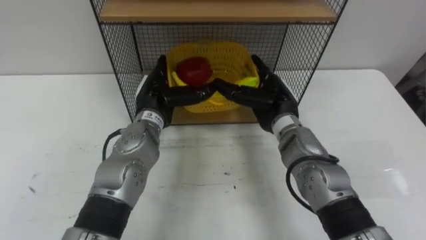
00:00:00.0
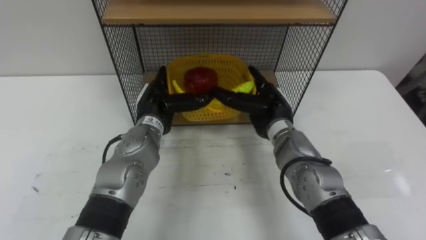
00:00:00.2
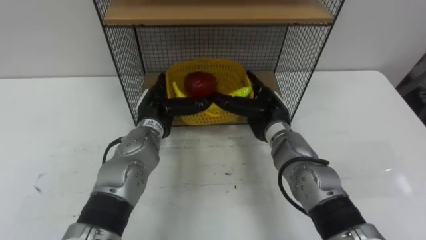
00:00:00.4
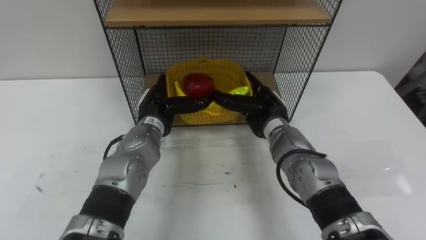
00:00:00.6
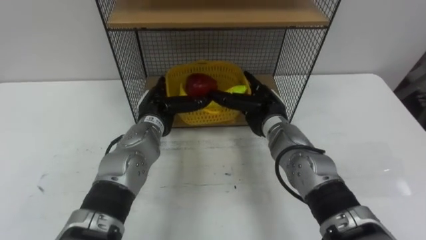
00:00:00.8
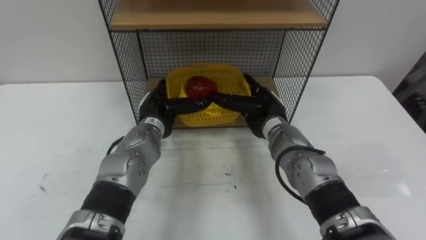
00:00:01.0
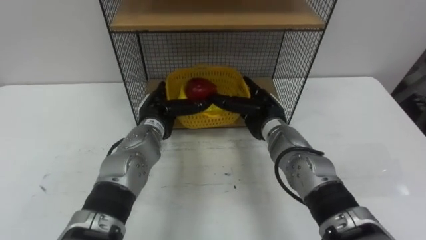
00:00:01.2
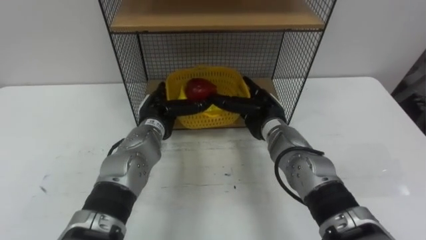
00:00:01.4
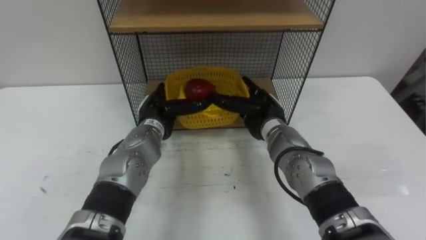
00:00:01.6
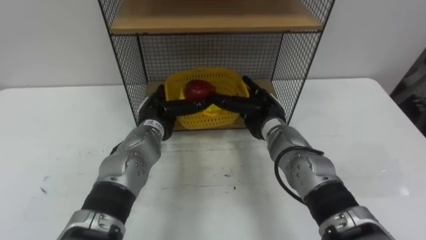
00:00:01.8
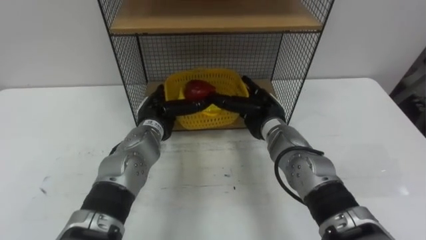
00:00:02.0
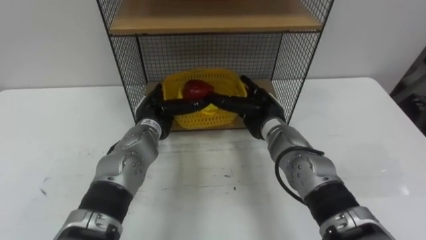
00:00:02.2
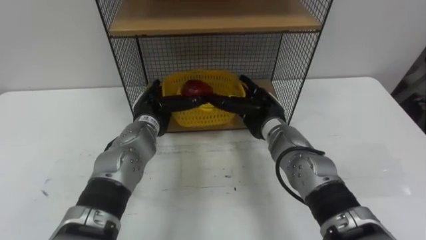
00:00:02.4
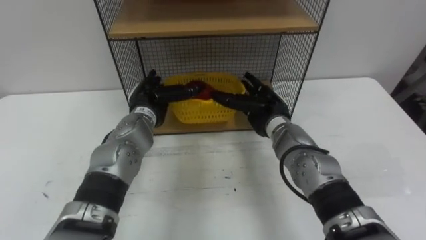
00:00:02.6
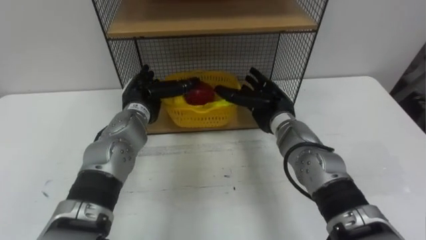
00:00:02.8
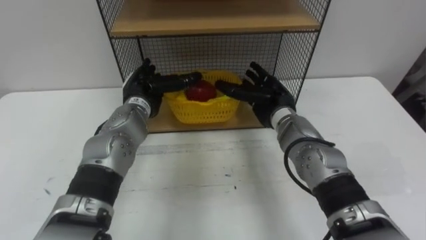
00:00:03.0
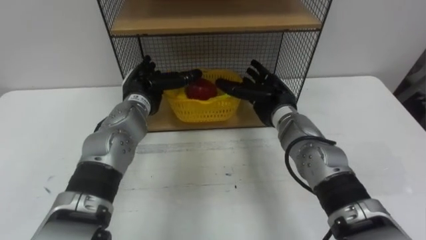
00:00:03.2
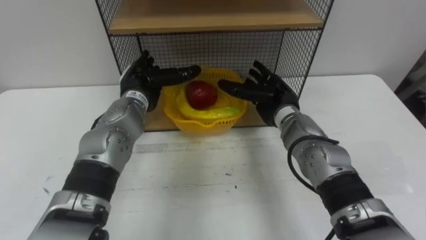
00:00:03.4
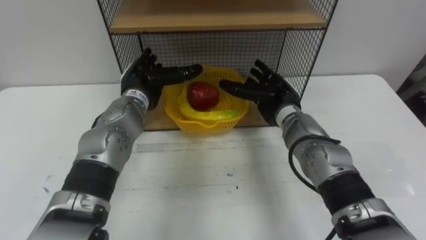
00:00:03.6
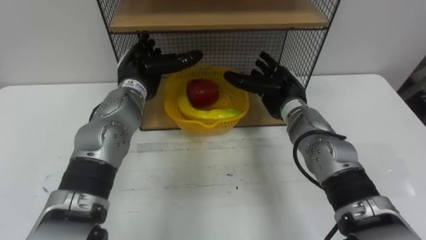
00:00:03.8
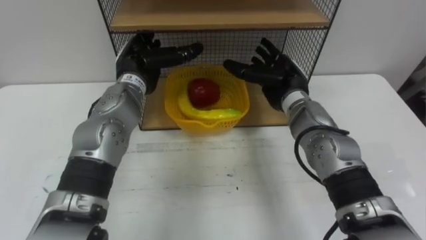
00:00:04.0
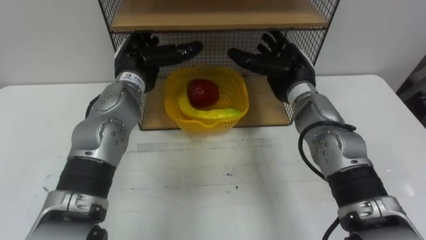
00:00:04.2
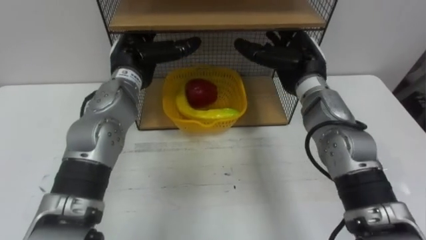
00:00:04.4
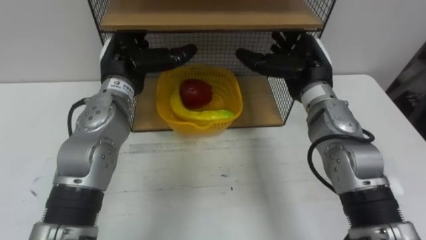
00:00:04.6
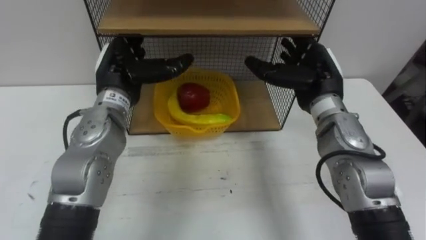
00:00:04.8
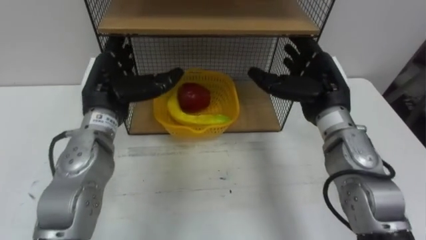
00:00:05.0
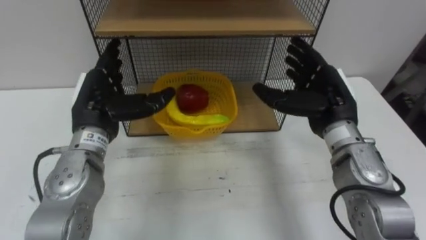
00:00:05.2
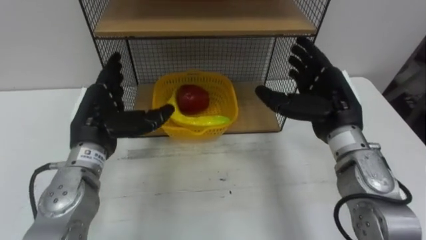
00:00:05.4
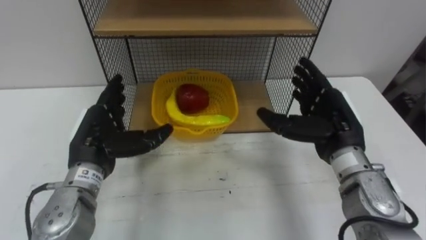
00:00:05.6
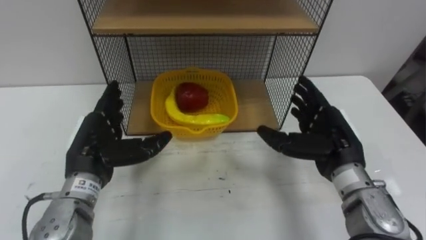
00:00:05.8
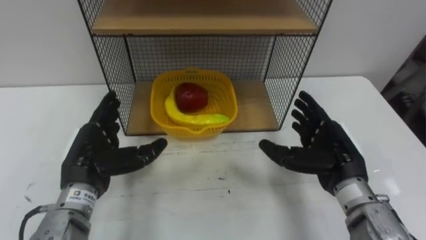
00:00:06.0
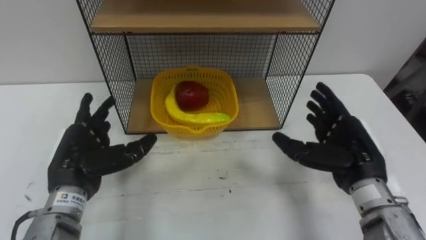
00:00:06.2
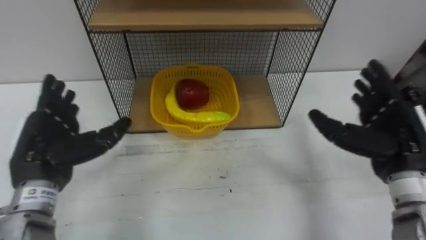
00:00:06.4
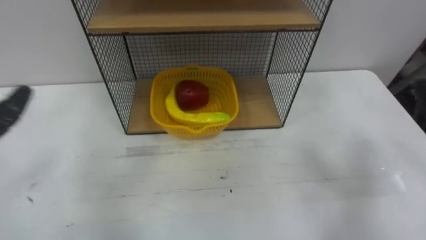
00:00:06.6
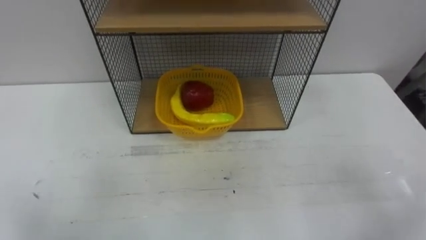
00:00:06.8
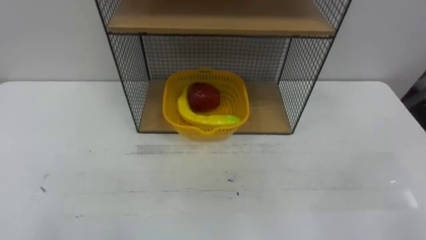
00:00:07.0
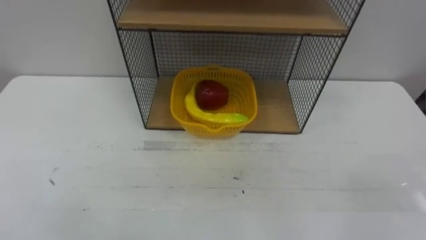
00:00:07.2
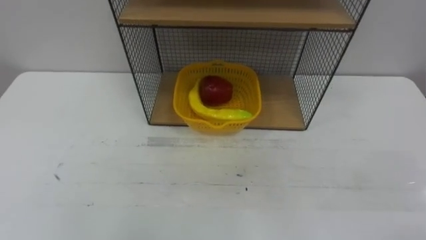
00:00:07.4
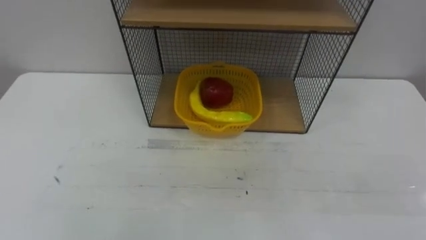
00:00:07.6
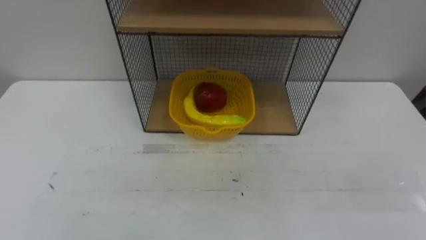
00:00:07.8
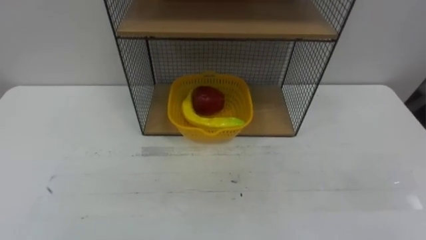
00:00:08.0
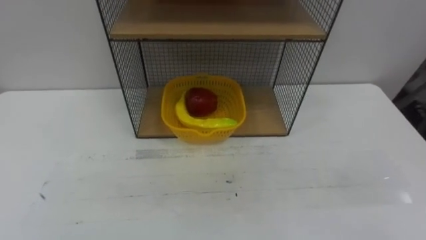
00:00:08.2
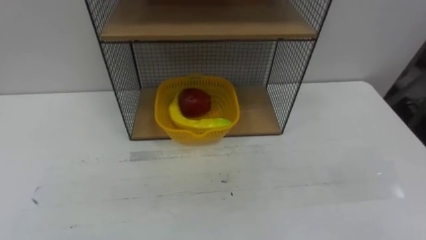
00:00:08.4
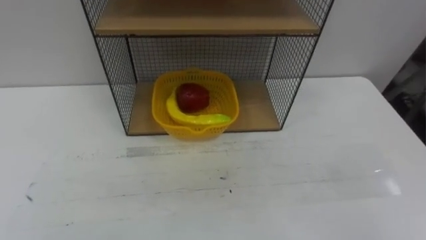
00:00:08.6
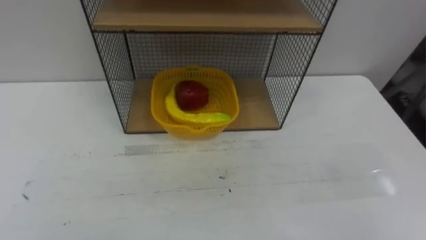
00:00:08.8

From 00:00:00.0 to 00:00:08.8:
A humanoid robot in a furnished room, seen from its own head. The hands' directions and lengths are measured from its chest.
Task of the whole recording: Put the fruit on the table into the basket, then place the basket on the shelf.
From 00:00:00.0 to 00:00:01.4: The left hand goes some 5 cm downward.
From 00:00:01.4 to 00:00:03.0: The left hand moves roughly 5 cm.
From 00:00:03.0 to 00:00:04.4: The hands both shift upward by approximately 10 cm.
From 00:00:04.4 to 00:00:05.8: The left hand moves backward, downward and to the left, some 20 cm; the right hand is displaced backward, downward and to the right by roughly 15 cm.

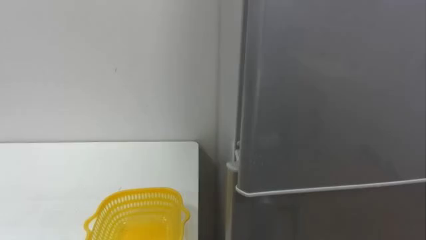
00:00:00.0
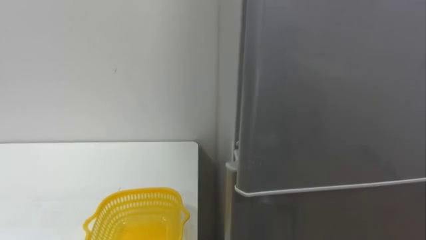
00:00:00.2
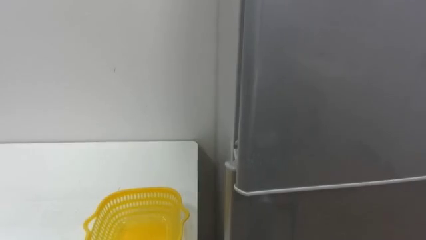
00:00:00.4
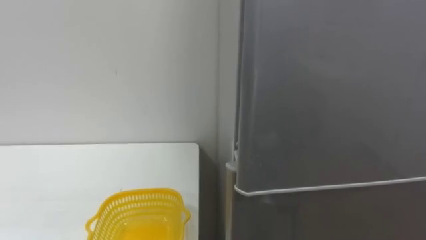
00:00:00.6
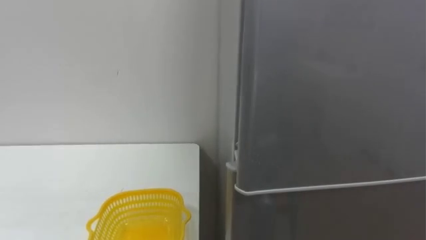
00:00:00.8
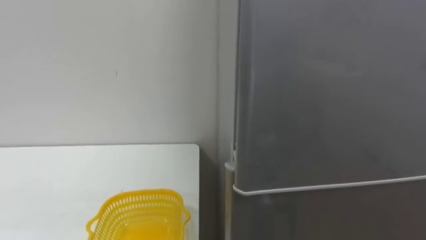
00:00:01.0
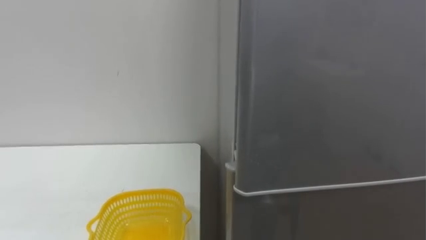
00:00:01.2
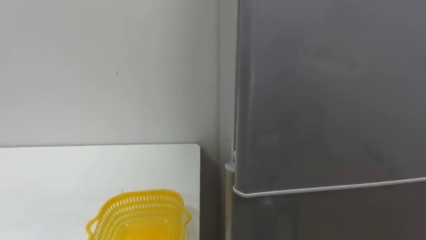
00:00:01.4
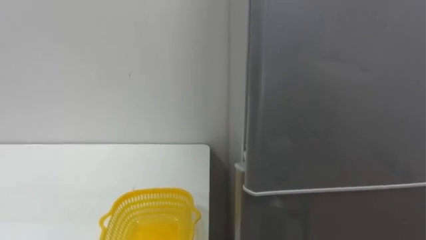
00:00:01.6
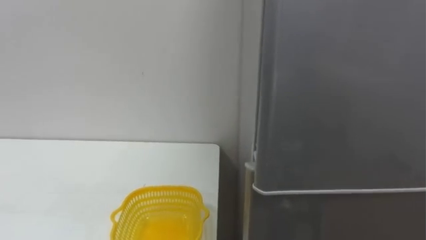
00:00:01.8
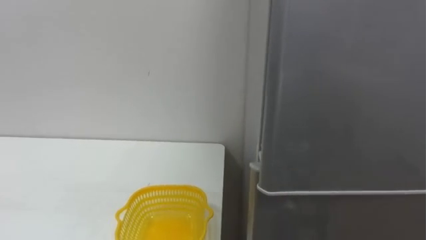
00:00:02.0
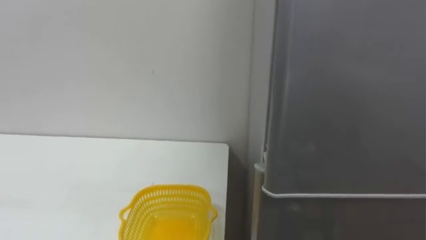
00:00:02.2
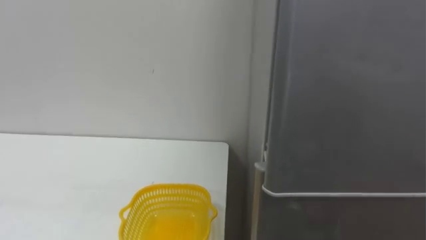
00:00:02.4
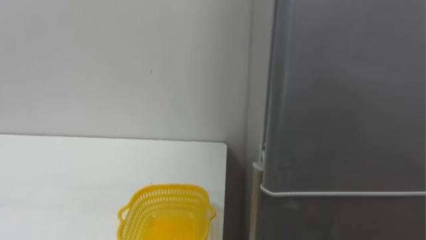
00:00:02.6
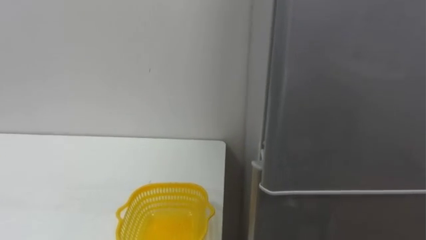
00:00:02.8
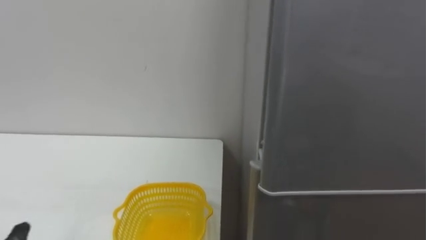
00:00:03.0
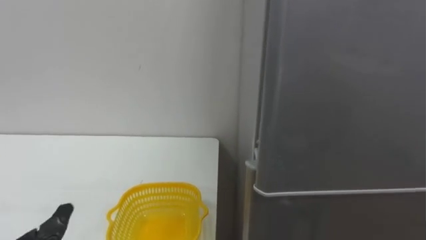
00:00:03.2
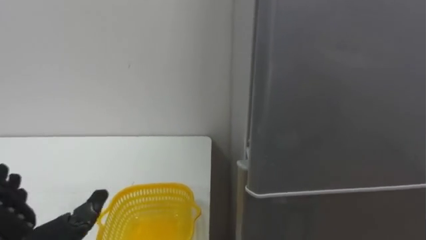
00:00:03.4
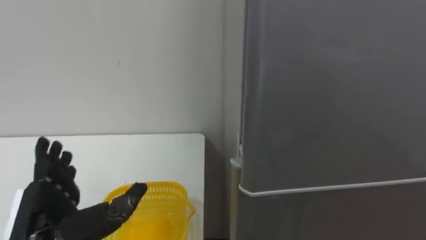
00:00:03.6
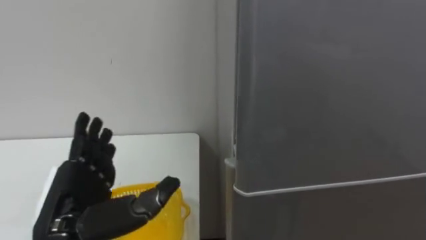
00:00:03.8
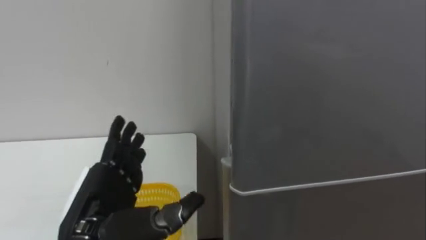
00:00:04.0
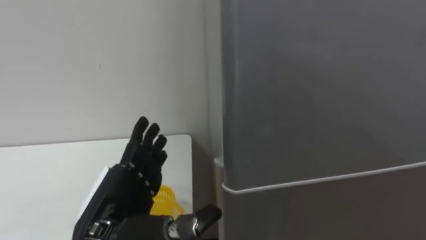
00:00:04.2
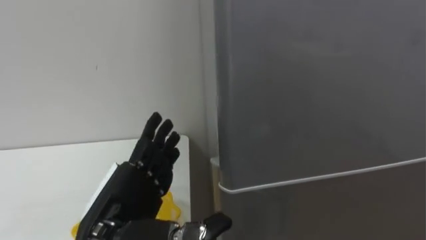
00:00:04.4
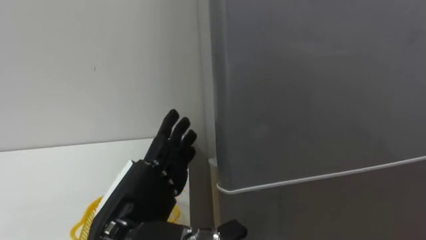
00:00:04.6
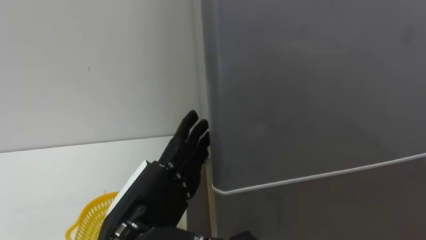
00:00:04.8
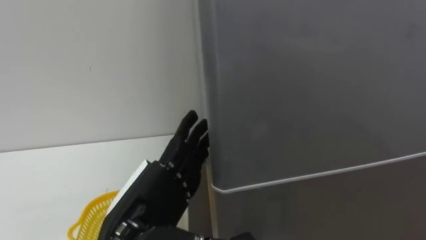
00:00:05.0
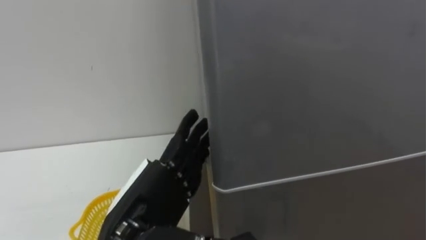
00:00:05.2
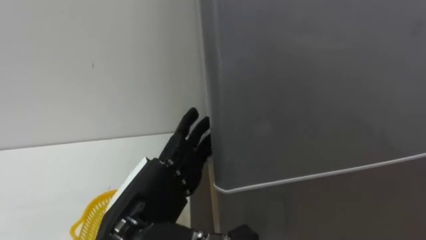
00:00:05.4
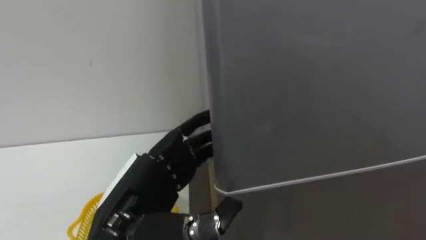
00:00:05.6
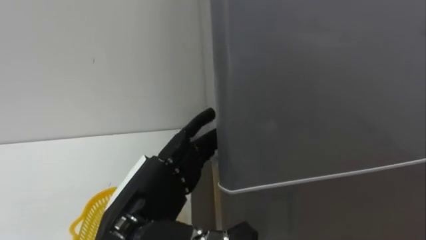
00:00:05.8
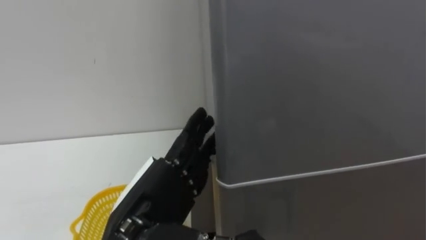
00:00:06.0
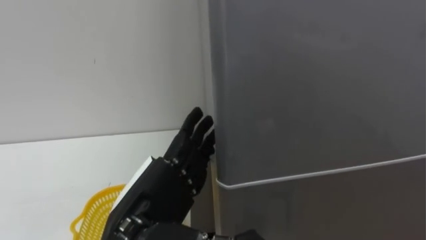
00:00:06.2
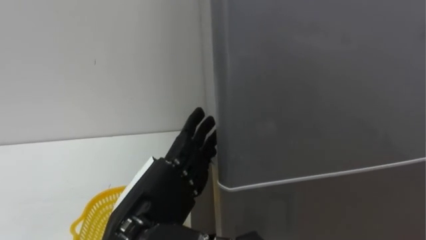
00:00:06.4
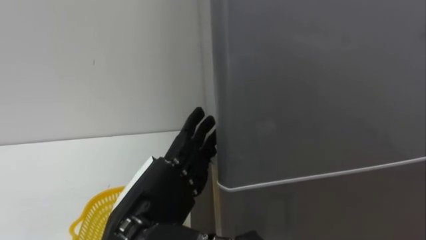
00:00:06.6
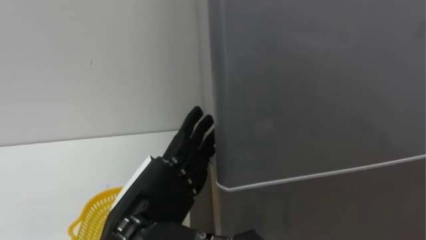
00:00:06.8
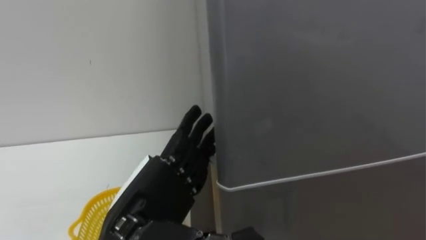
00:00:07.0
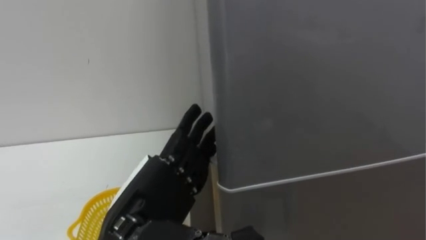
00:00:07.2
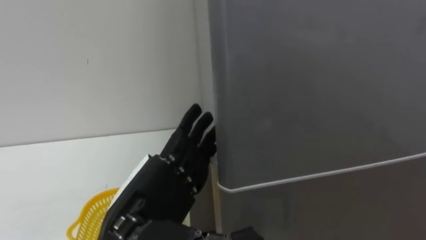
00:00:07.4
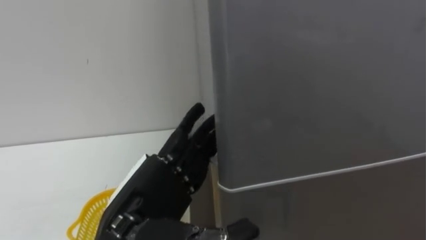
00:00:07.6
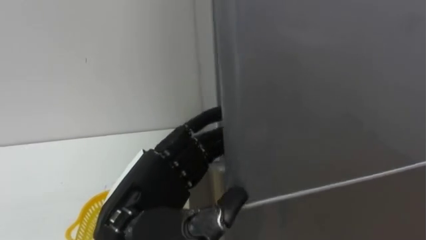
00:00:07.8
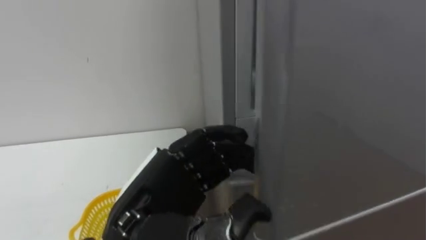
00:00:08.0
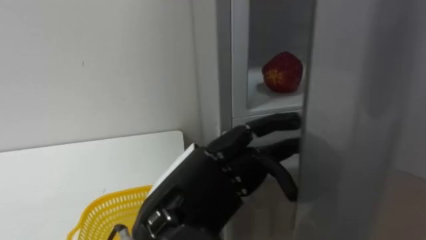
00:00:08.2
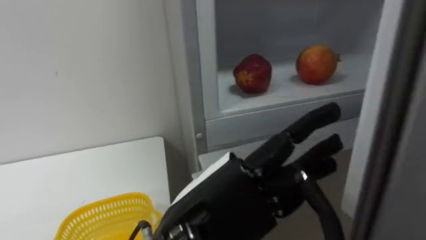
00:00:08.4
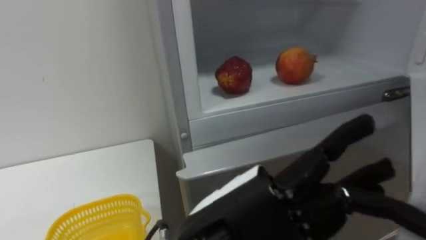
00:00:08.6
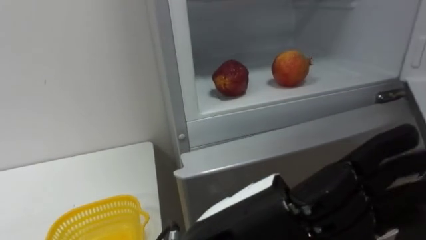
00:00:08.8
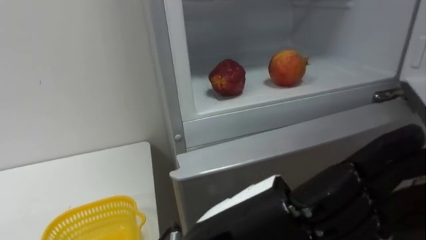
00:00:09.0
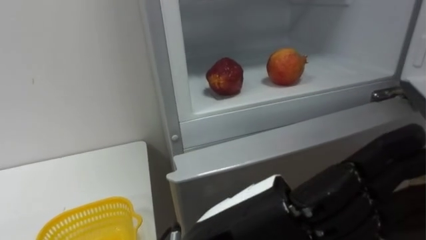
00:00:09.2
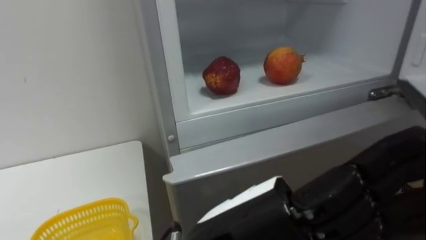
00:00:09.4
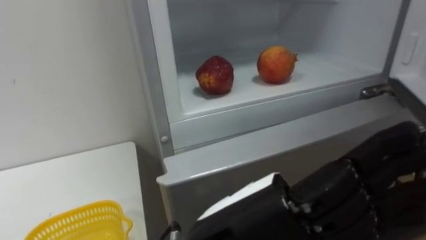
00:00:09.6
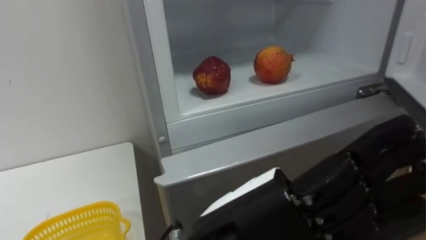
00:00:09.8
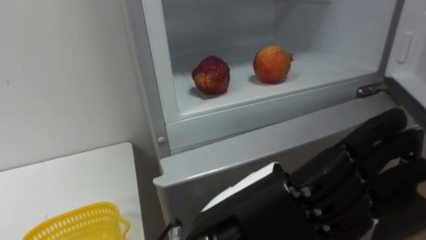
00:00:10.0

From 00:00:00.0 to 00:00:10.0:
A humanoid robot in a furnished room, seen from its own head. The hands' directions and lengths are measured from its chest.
Task of the whole recording: Open the refrigerator door, take out the apple and the pomegranate, place them in the fruit basket on the left, and close the refrigerator door.
From 00:00:07.2 to 00:00:08.6: The left hand moves to the right and backward, some 10 cm, and closes, then reopens.
